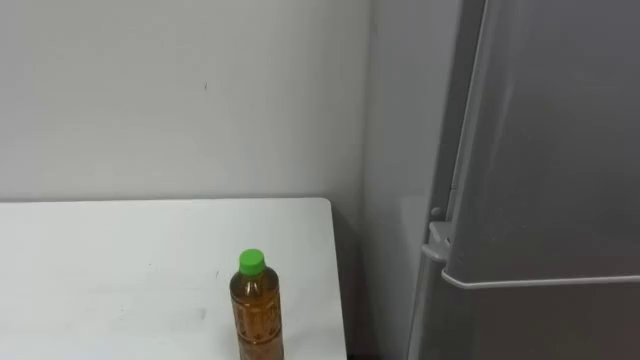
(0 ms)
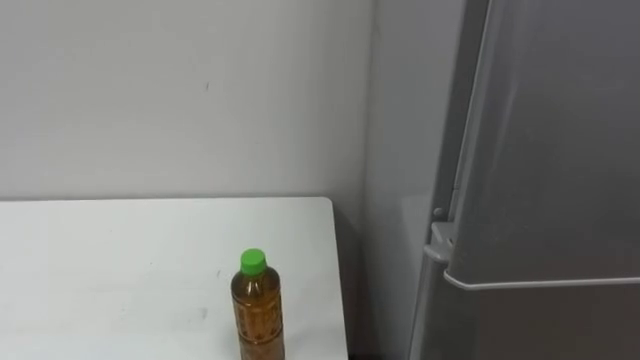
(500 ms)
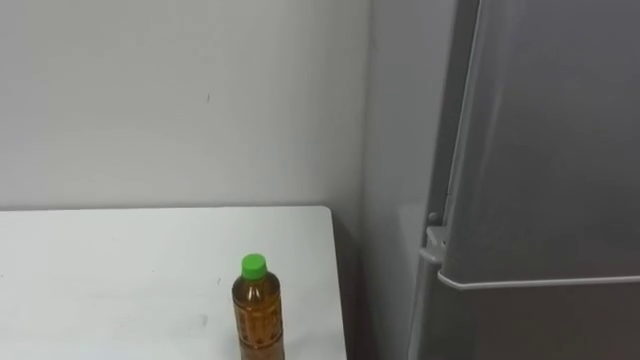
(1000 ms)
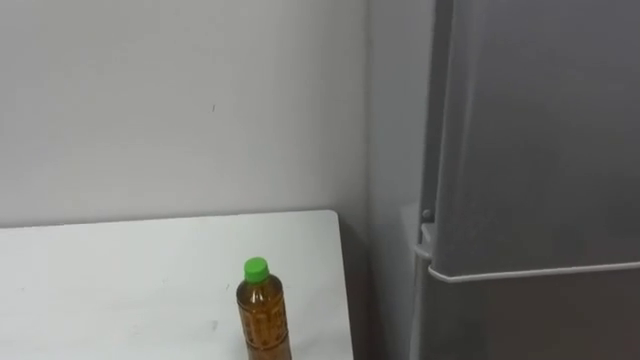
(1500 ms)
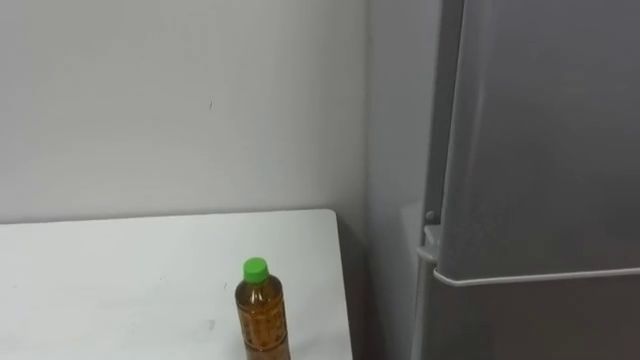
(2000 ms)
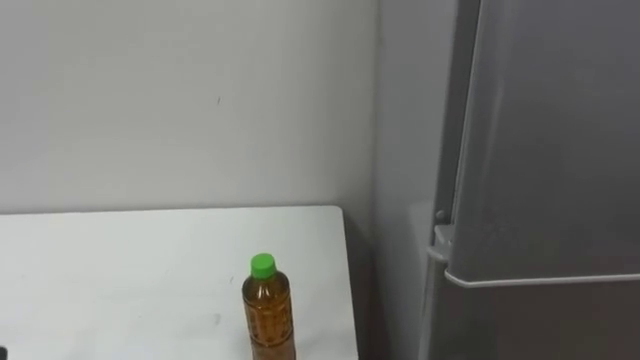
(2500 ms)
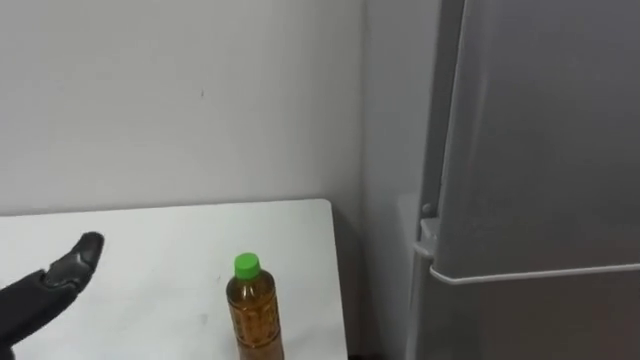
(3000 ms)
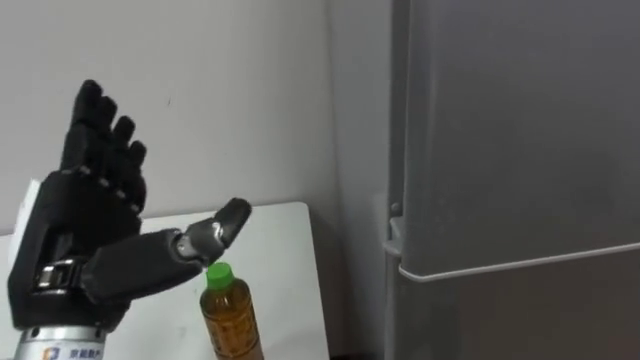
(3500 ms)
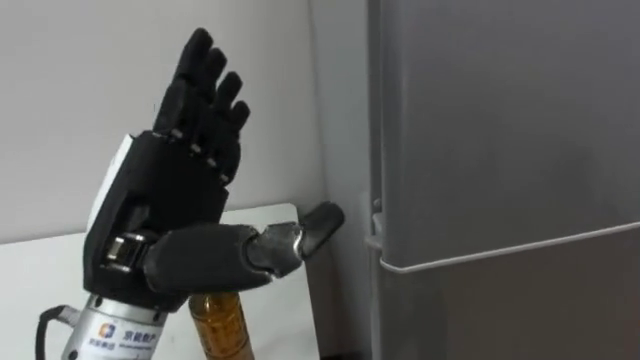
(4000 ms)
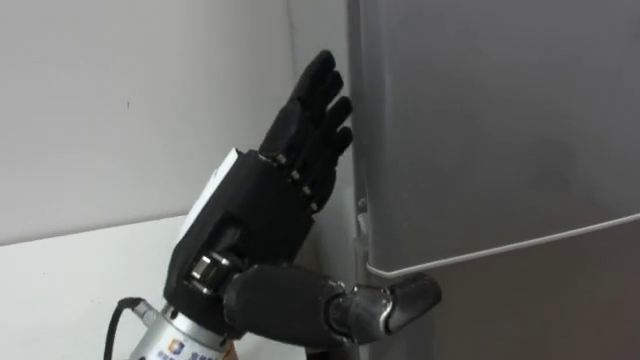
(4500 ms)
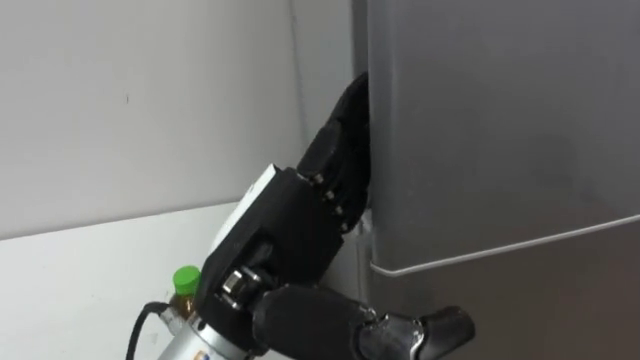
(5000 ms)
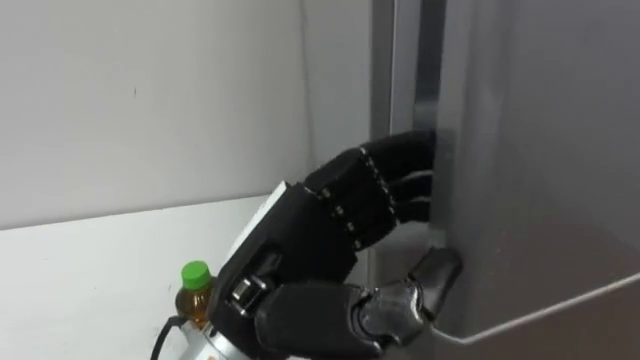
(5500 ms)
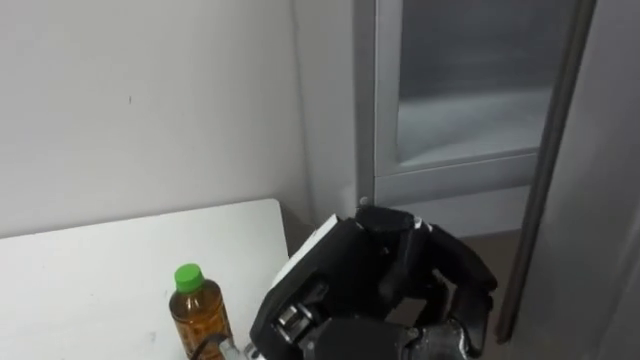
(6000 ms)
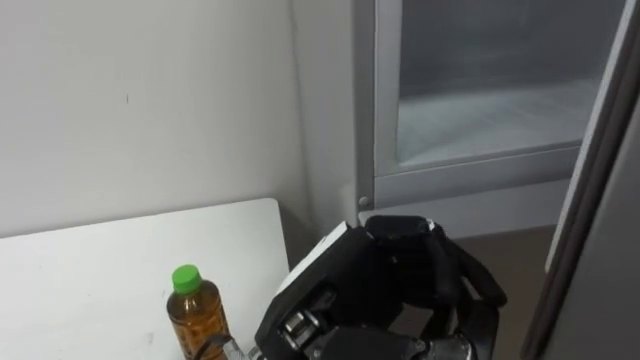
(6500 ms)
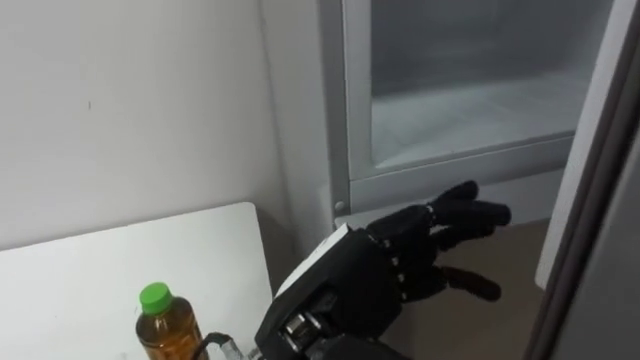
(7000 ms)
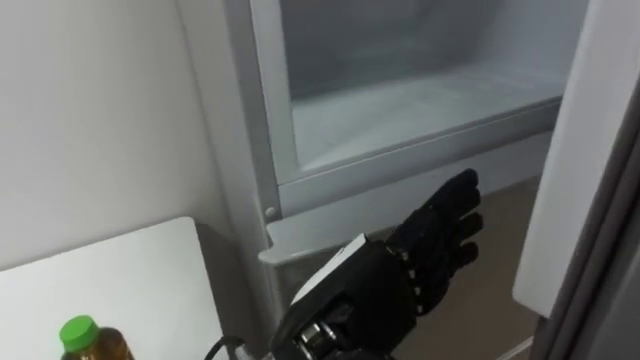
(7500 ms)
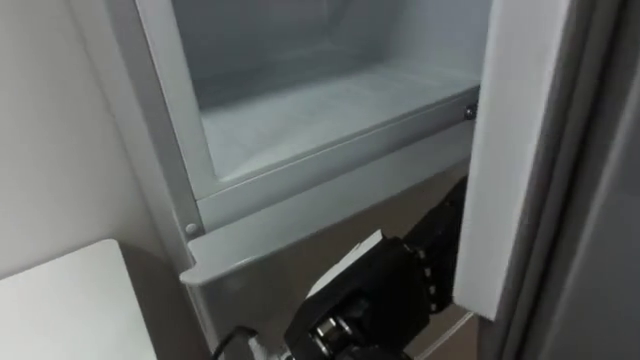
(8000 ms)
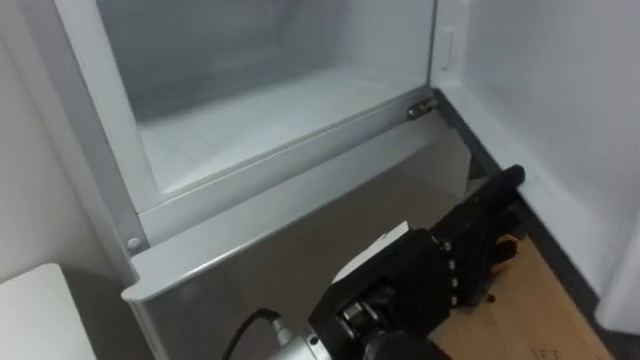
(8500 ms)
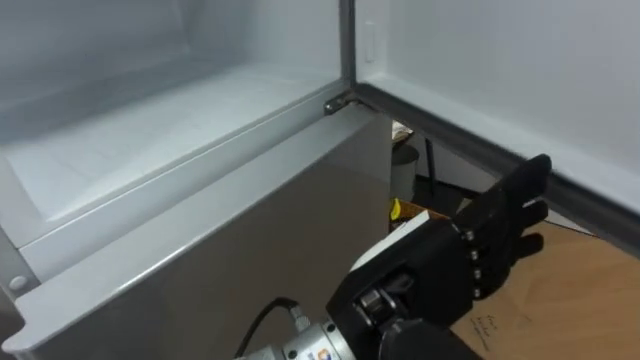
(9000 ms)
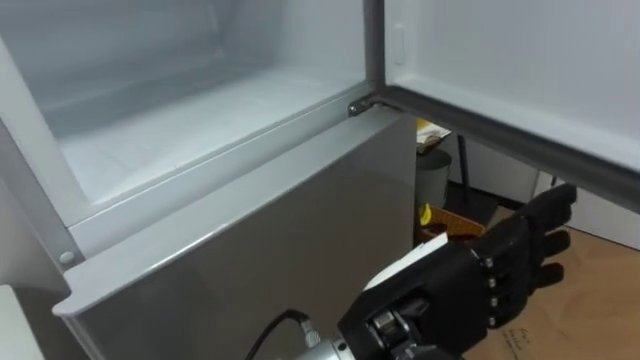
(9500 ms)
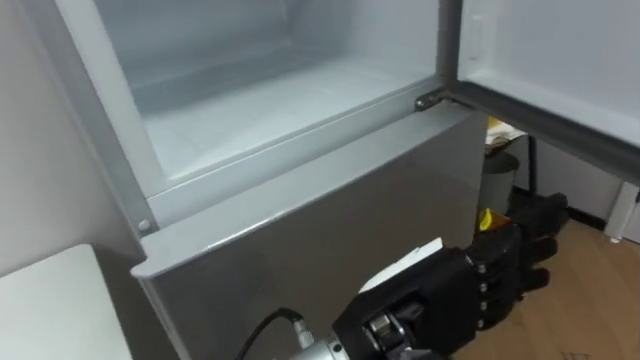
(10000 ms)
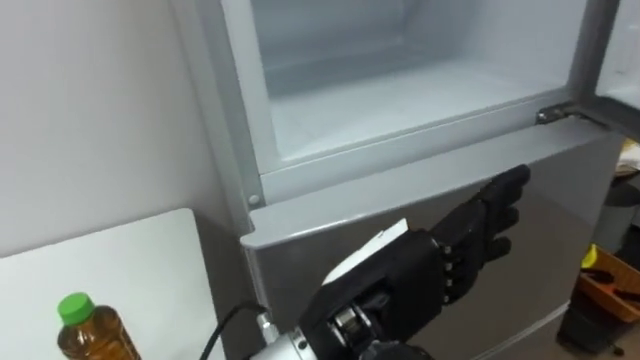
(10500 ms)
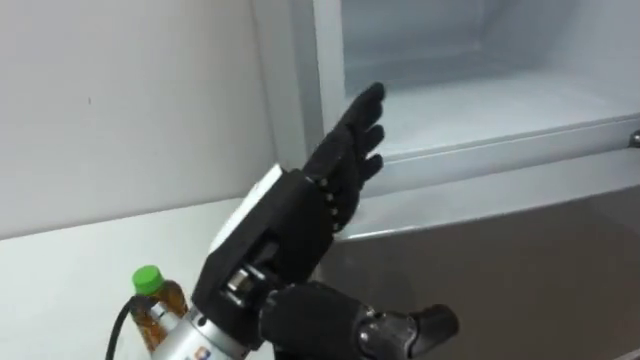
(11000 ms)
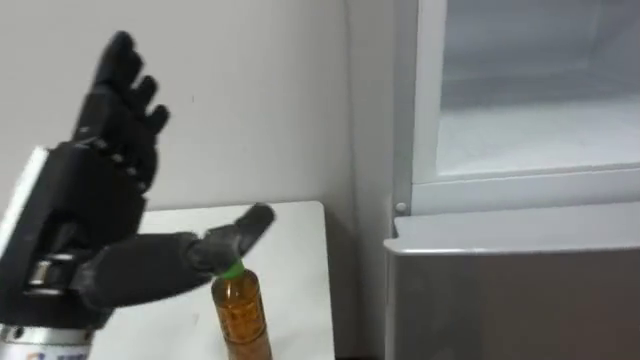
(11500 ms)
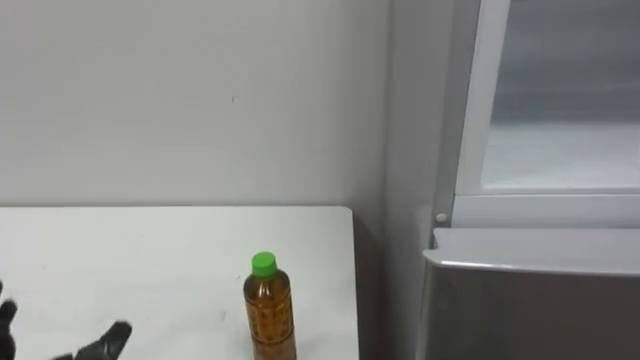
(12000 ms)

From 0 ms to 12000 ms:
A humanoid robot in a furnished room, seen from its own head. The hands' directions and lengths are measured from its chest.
Task of the whole recording: Open the upper refrigerator door, put the drink from the table into the refrigerator, and then close the refrigerator door.
From 4000 ms to 6000 ms: The left hand travels to the right by some 10 cm, and closes.
From 6000 ms to 8000 ms: The robot turns to its right by some 15 degrees. The left hand opens up.

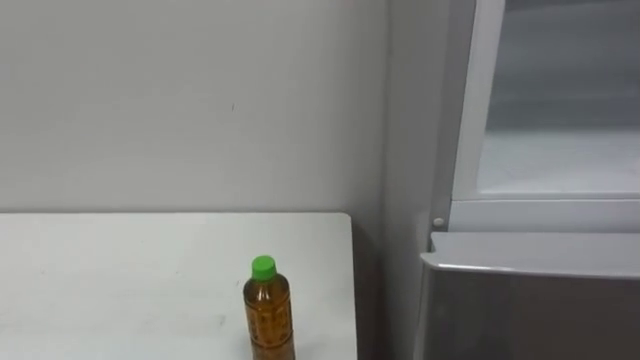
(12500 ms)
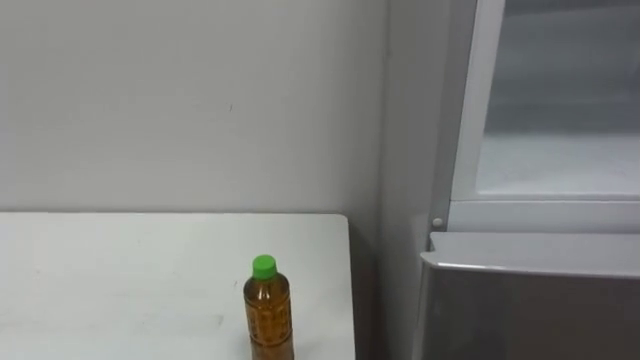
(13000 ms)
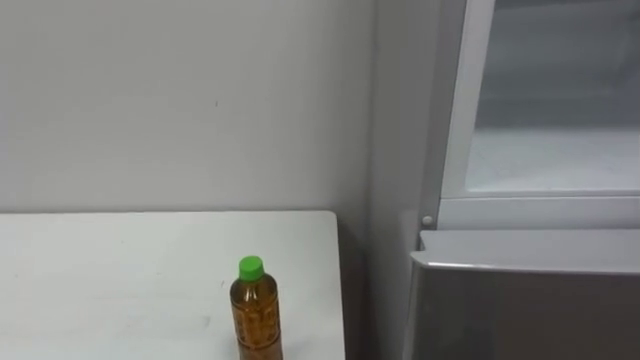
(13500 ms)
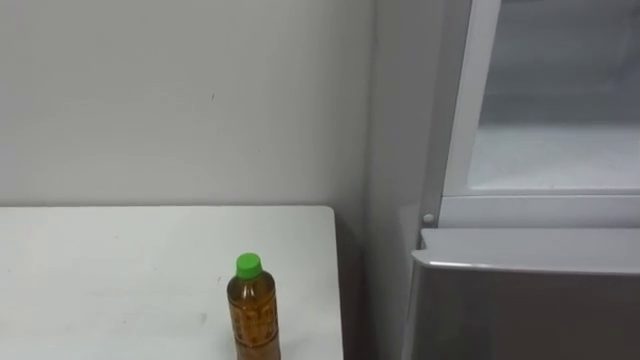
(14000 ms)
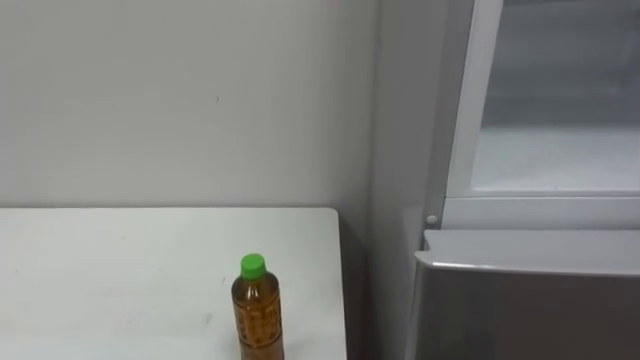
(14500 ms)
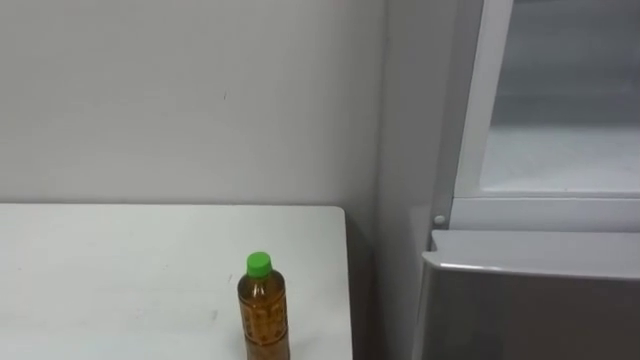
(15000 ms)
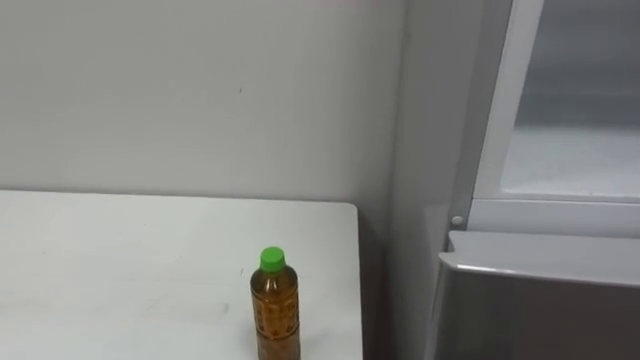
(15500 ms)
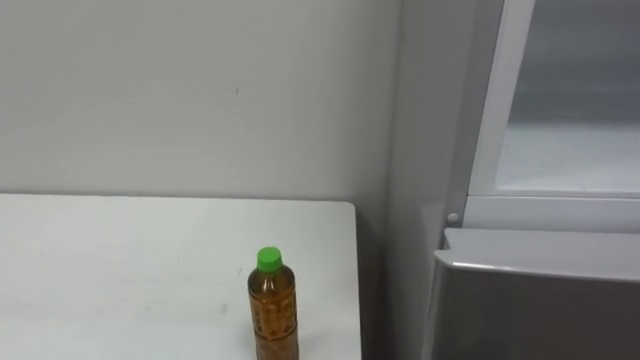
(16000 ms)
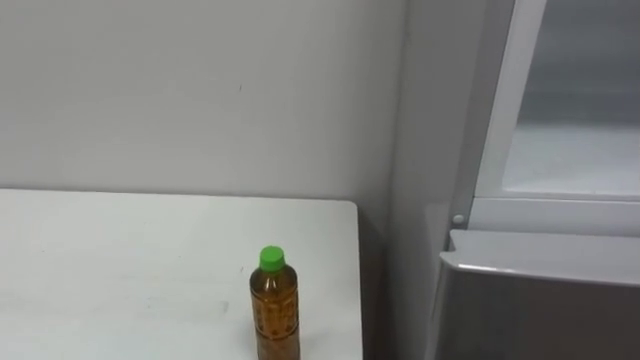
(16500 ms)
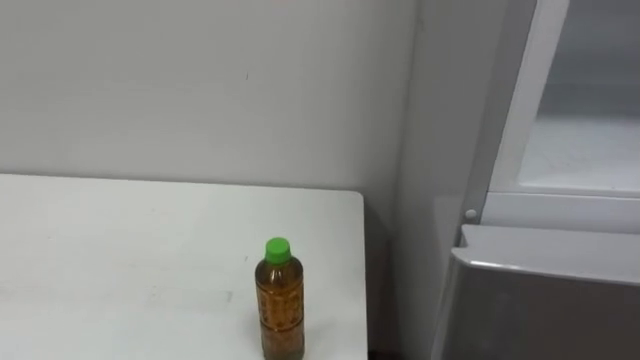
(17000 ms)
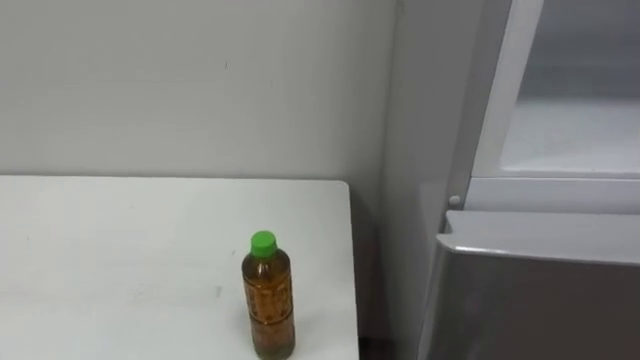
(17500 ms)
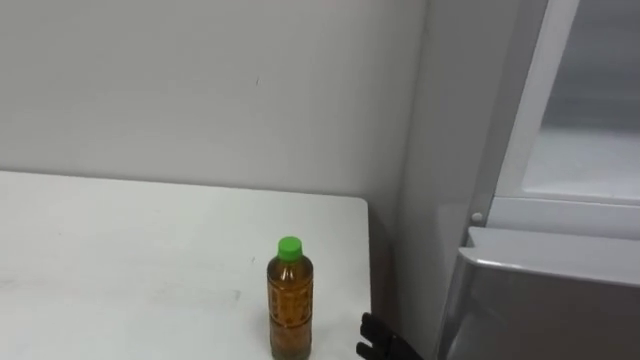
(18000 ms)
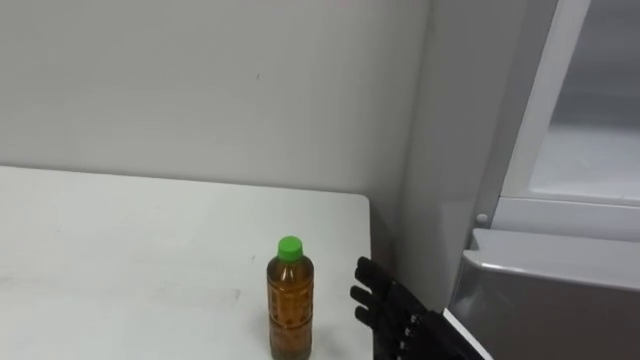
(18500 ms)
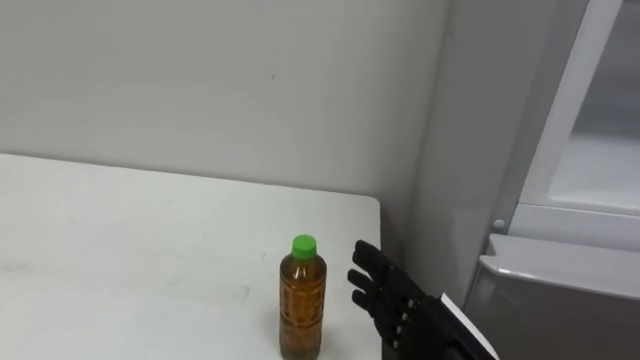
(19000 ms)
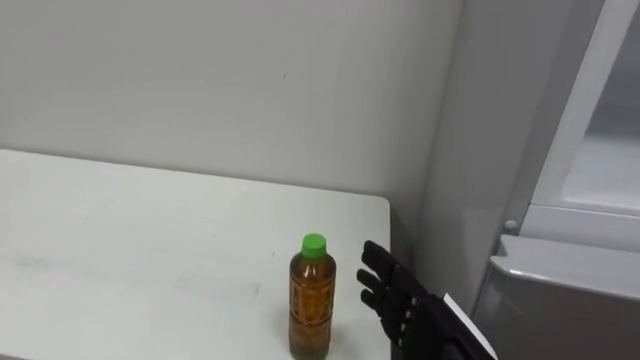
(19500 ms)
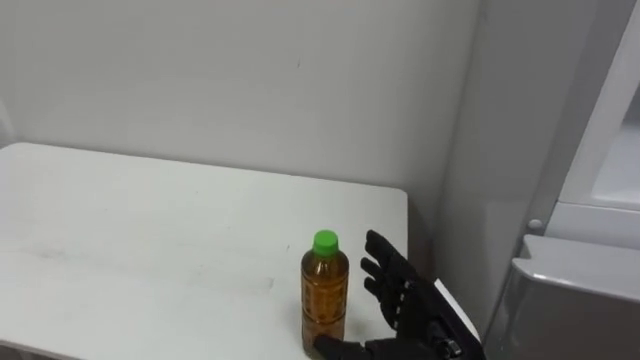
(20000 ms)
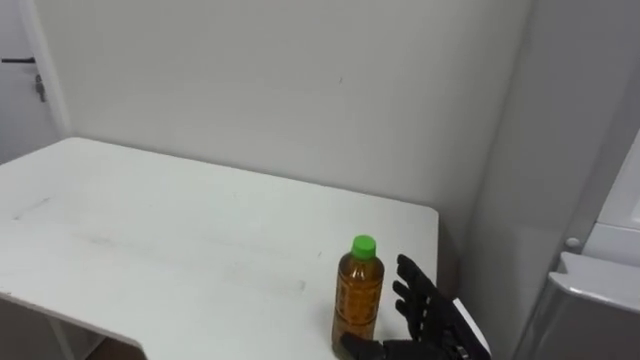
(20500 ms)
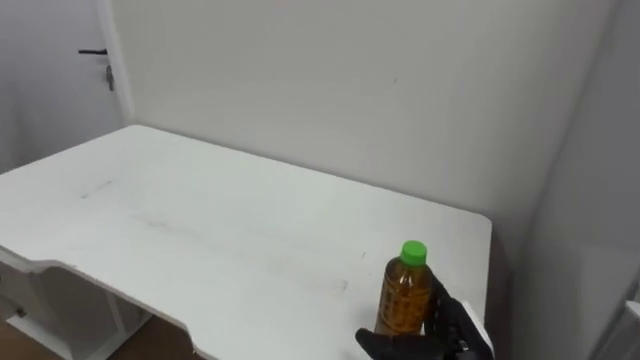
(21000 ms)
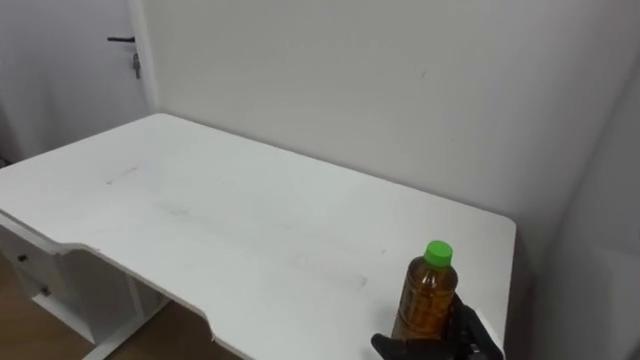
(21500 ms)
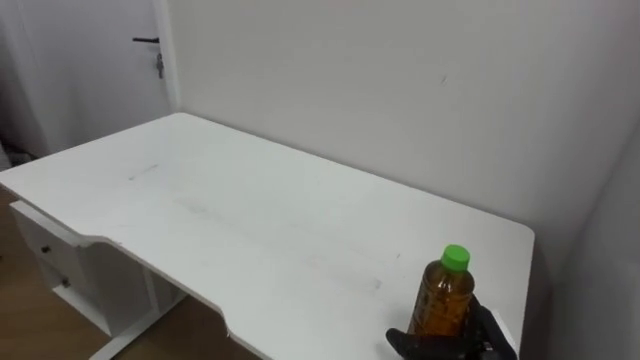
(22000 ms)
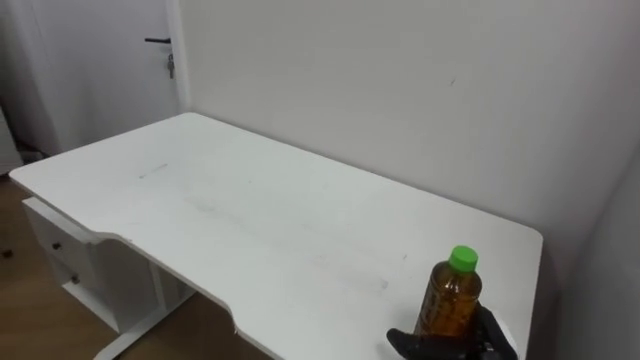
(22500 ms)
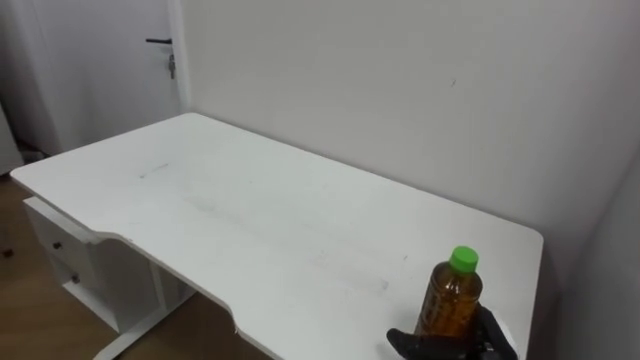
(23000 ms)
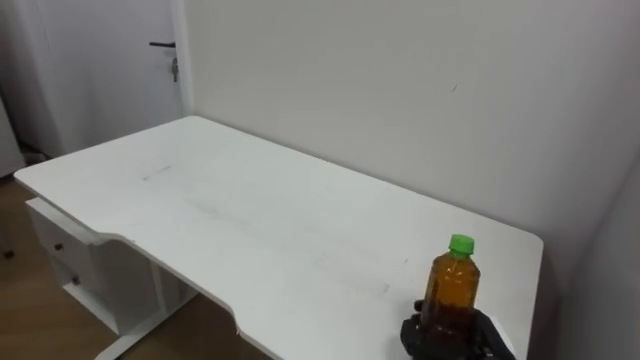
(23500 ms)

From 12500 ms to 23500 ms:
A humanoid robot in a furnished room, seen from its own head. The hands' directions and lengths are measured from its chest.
Task of the whole recording: Open the upper refrigerator door, put the drink from the table into the refrigerator, and then close the refrigerator door.
From 20000 ms to 21500 ms: The right hand heads downward and to the right, covering approximately 10 cm.
From 21500 ms to 23500 ms: The right hand closes.
